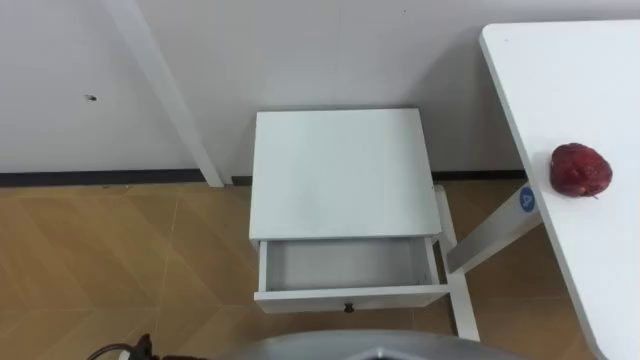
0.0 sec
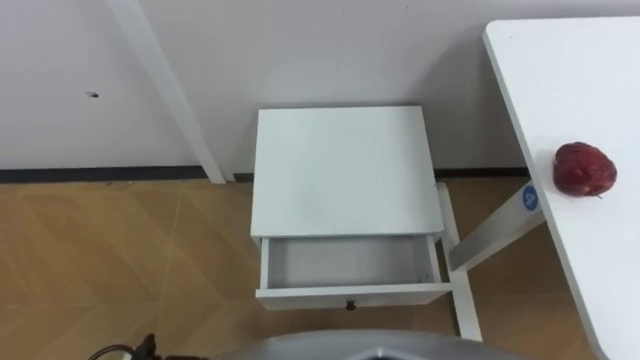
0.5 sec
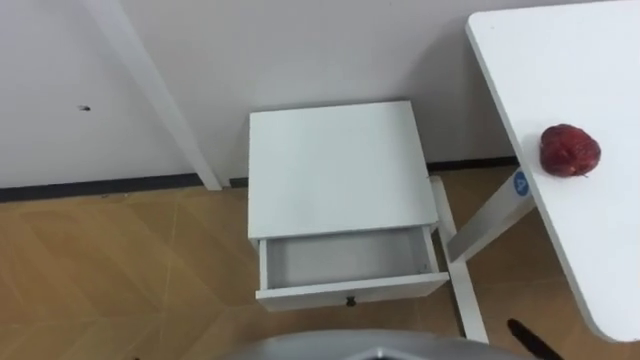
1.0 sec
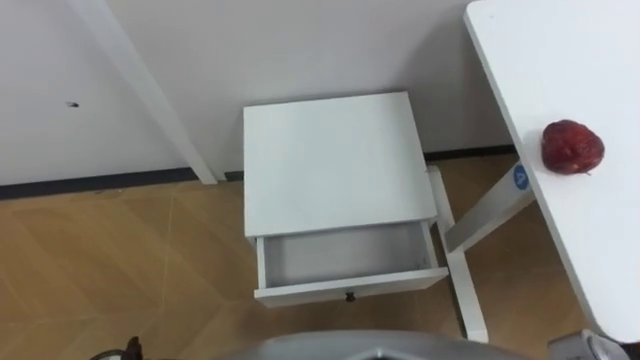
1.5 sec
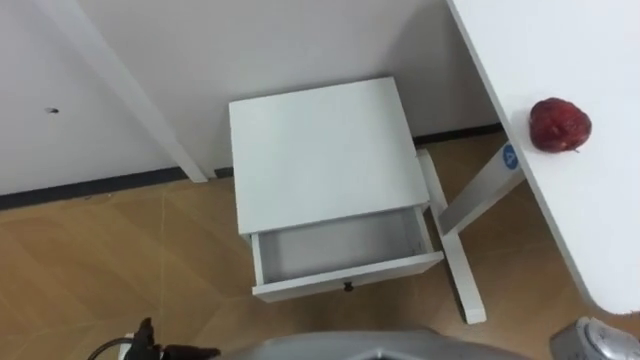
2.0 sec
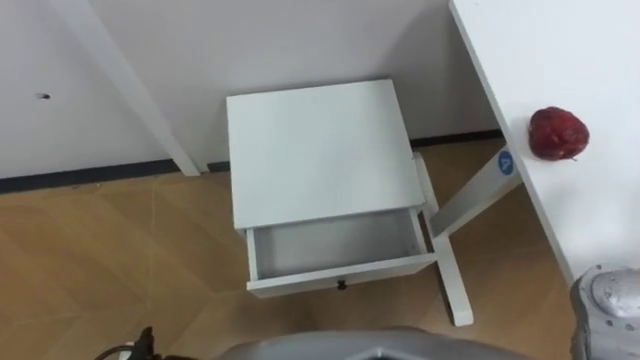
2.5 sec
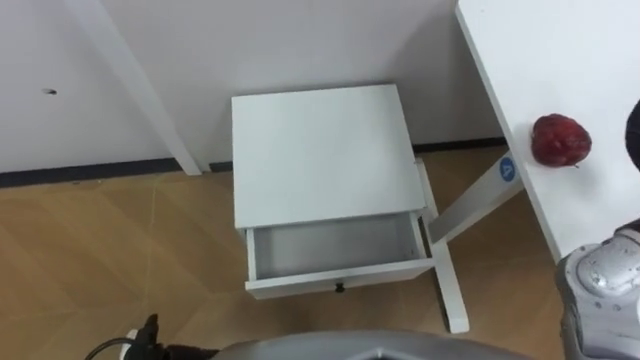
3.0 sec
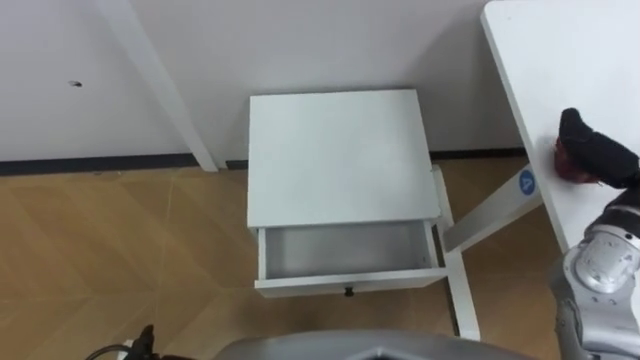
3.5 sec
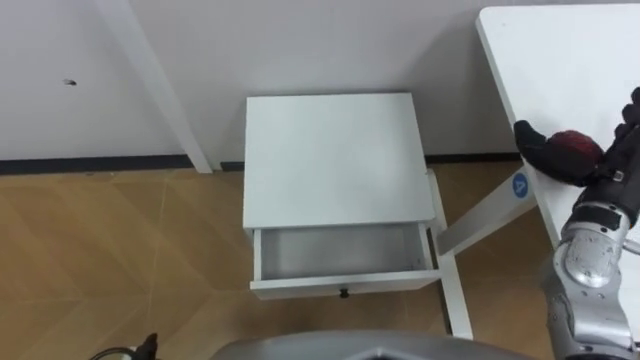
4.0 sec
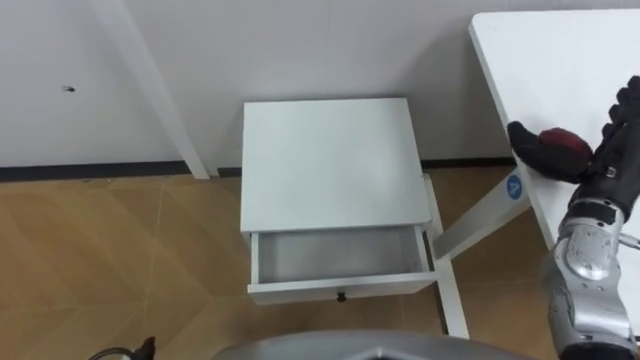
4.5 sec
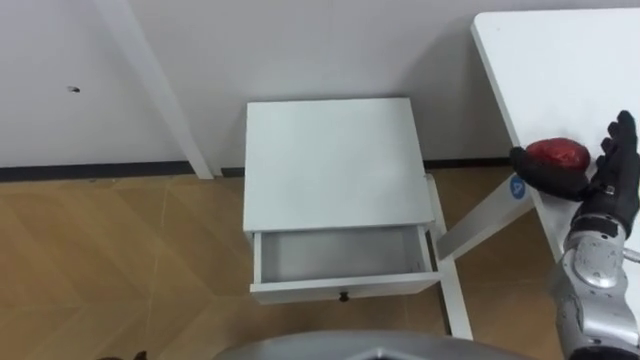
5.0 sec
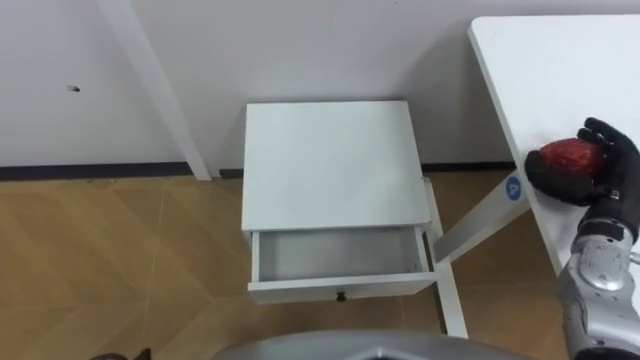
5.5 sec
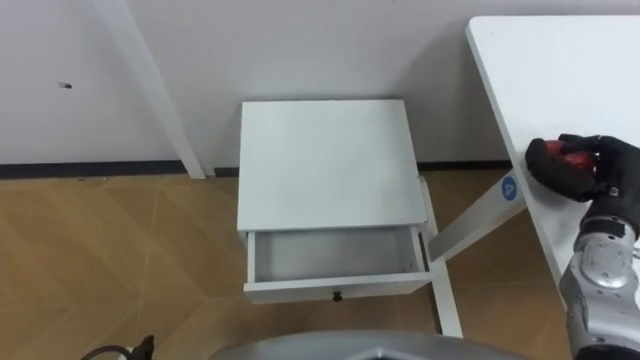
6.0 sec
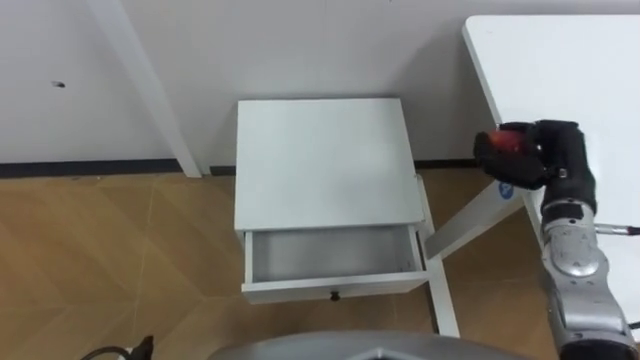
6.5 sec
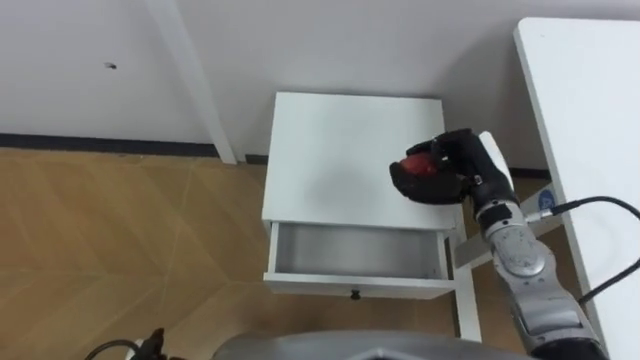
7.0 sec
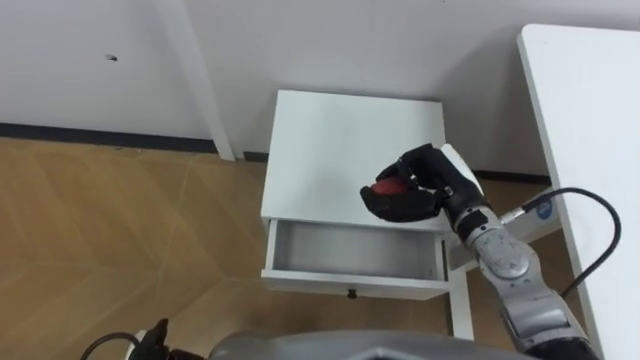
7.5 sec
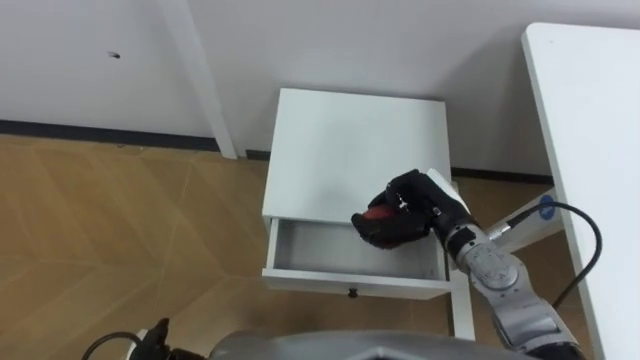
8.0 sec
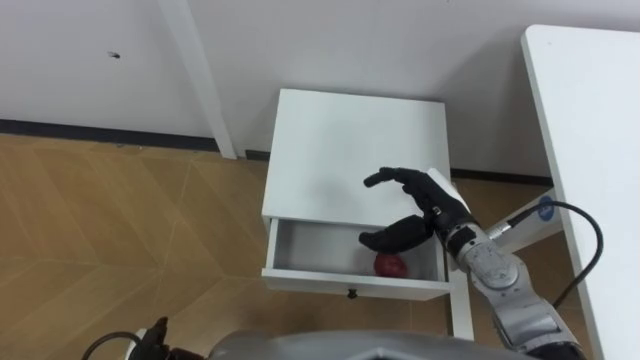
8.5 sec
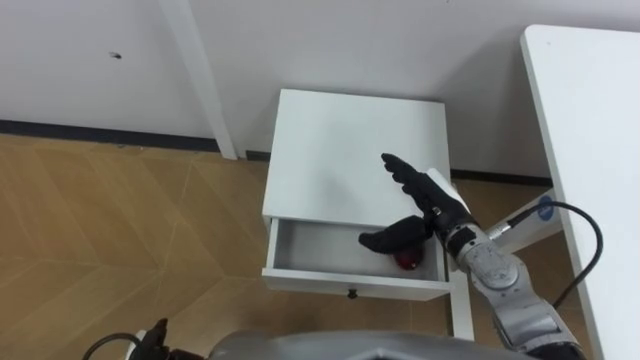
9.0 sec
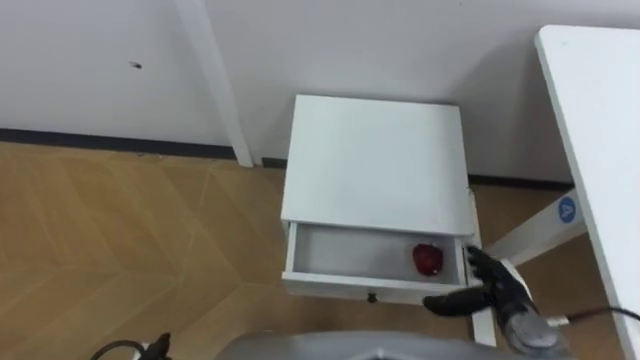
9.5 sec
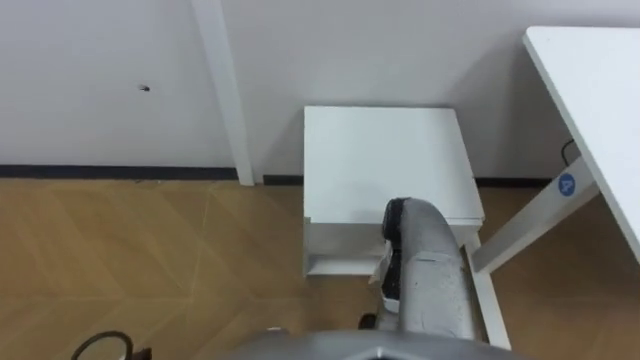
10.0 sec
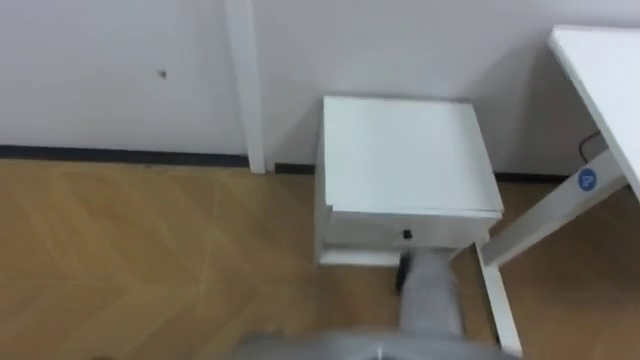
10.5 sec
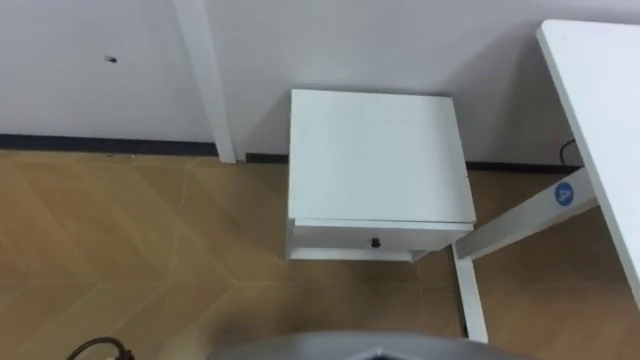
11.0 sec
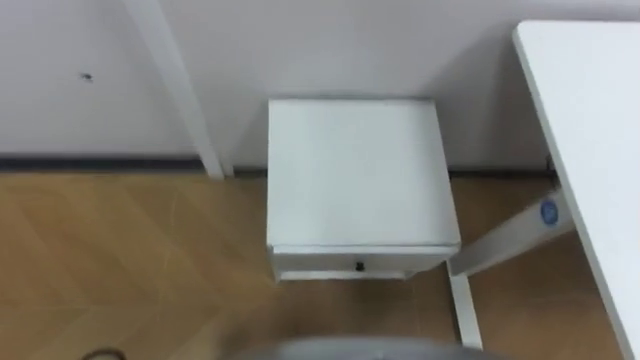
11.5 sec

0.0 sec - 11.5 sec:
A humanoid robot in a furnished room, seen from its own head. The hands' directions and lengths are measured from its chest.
Task of the whole recording: Pick up the apple from the table, put it in the drawer, and close the drawer with leg.
4.0 sec - 6.0 sec: The right hand ends up approximately 5 cm from where it was, and closes.
6.0 sec - 7.5 sec: The right hand travels to the left by approximately 20 cm.
7.5 sec - 9.5 sec: The right hand is displaced downward, backward and to the right by approximately 20 cm, and opens up.

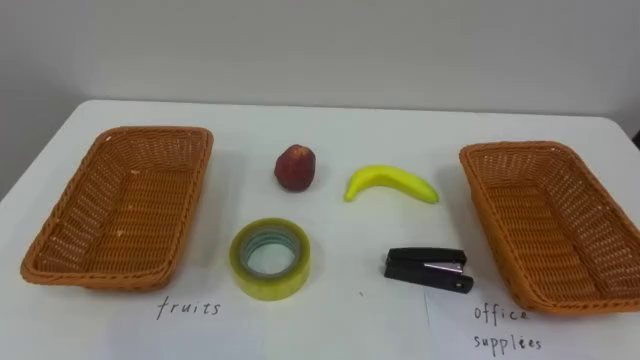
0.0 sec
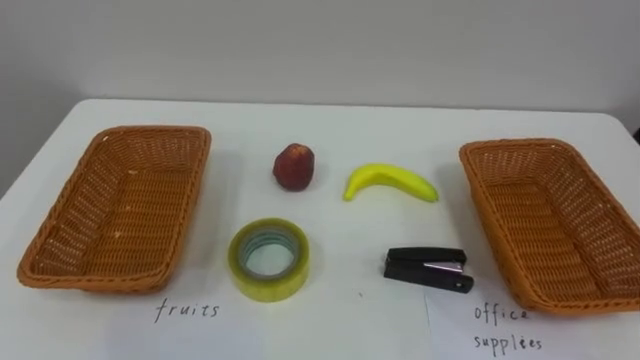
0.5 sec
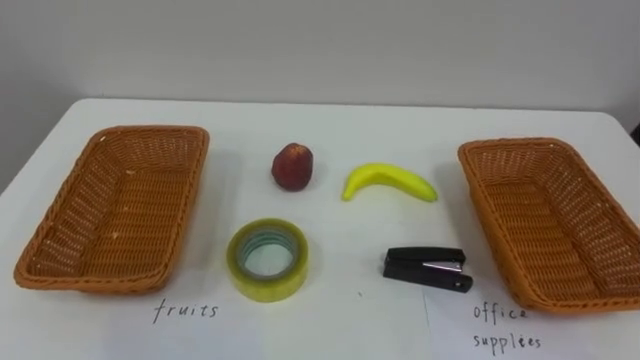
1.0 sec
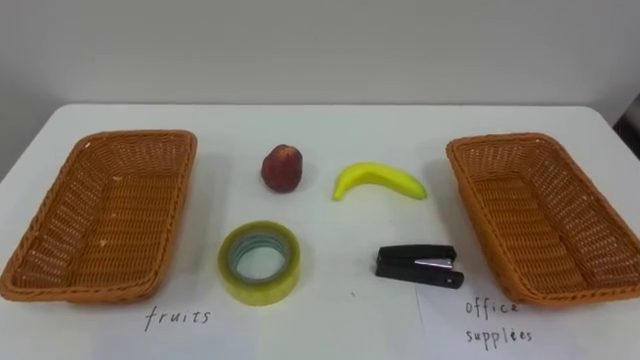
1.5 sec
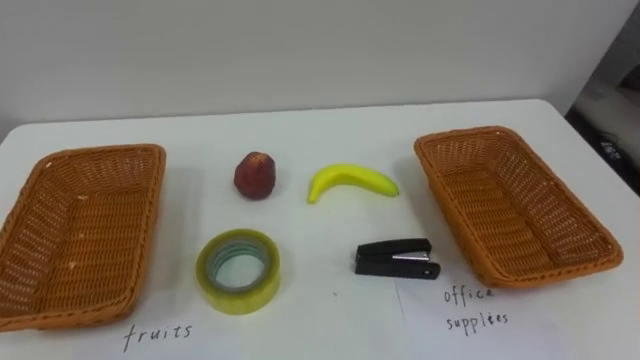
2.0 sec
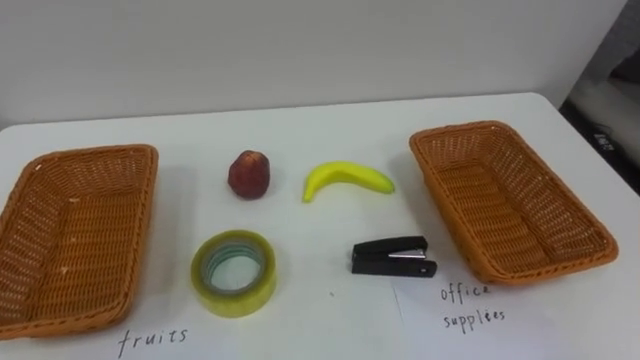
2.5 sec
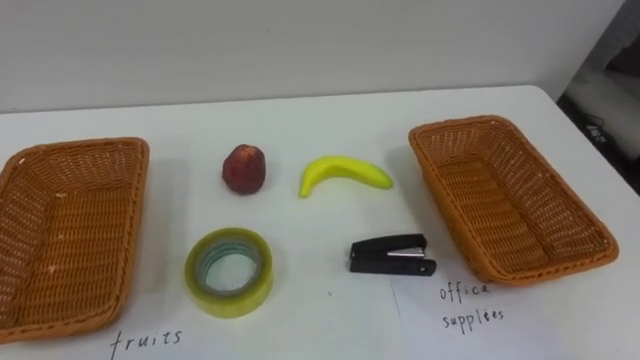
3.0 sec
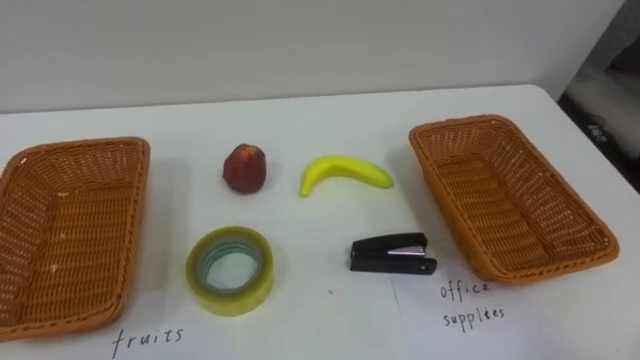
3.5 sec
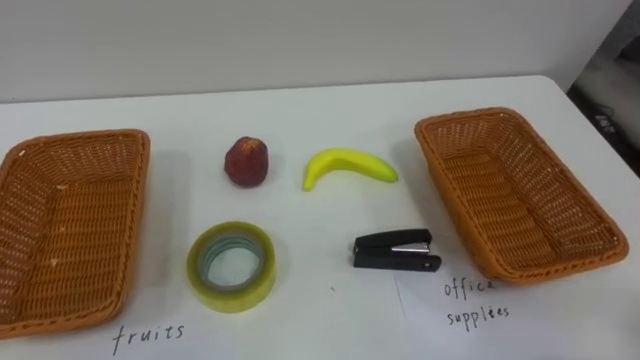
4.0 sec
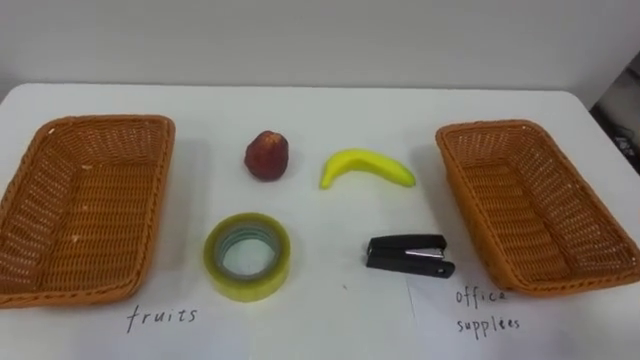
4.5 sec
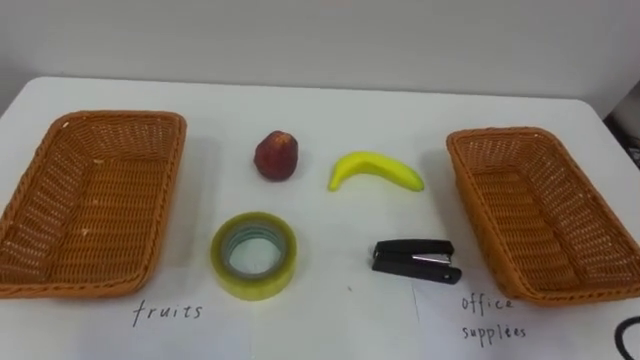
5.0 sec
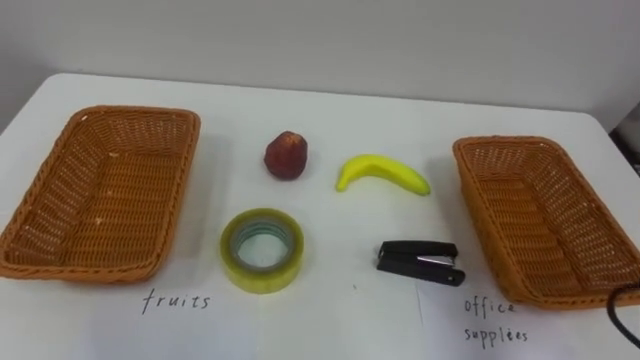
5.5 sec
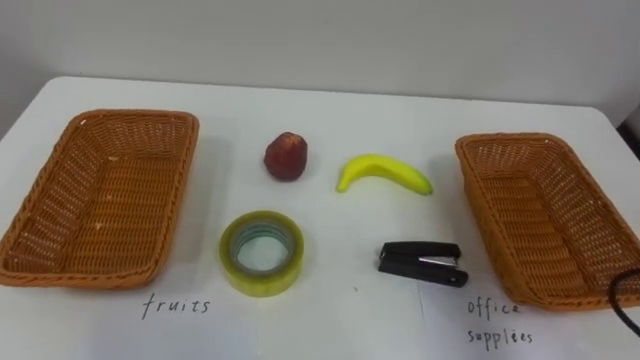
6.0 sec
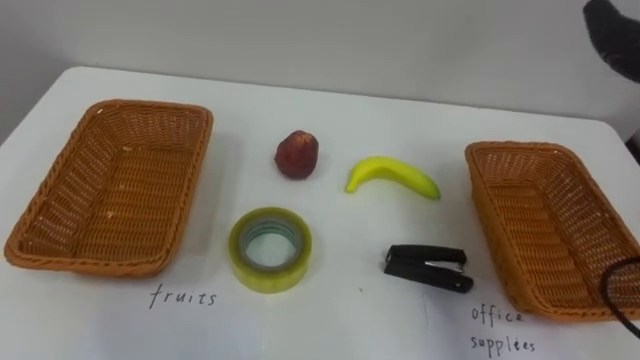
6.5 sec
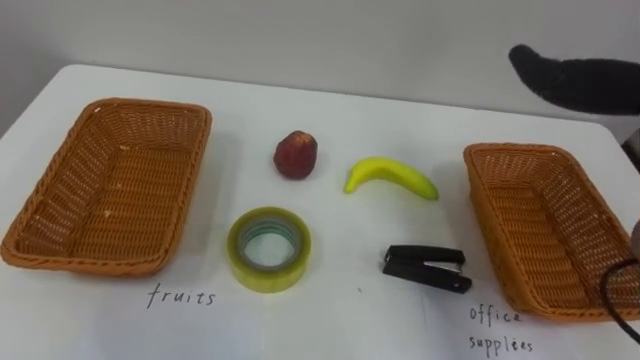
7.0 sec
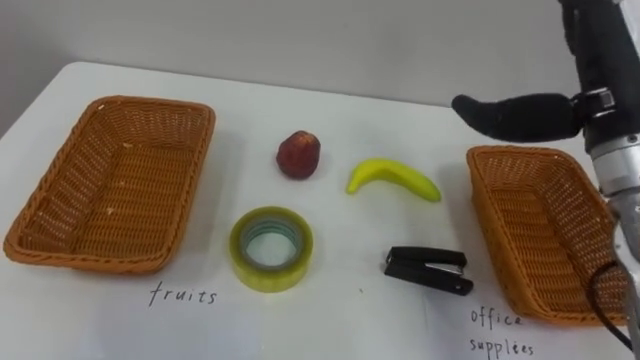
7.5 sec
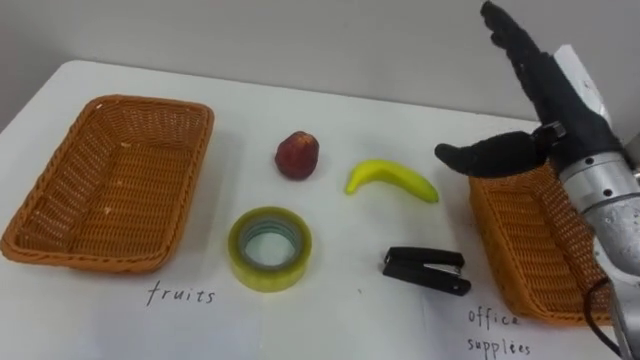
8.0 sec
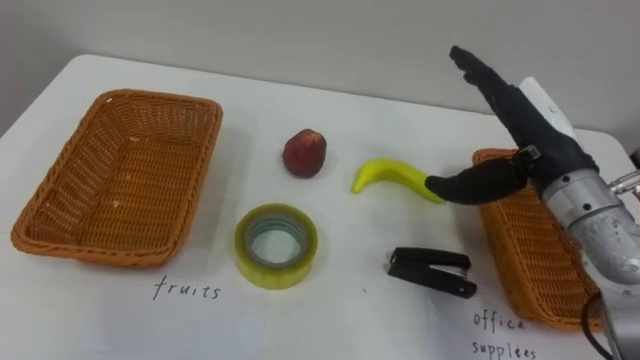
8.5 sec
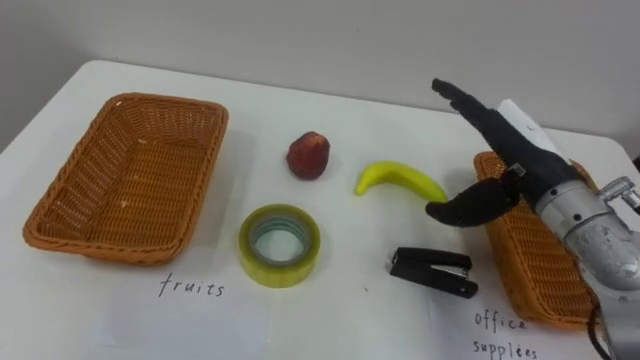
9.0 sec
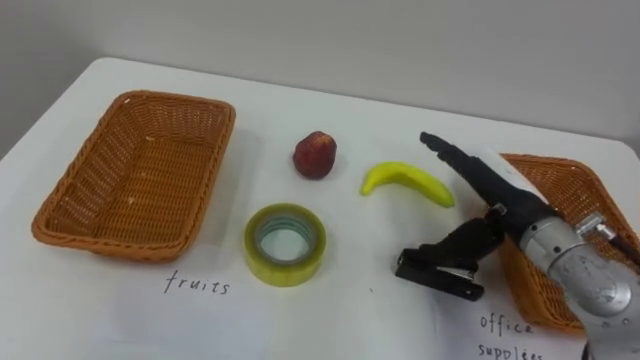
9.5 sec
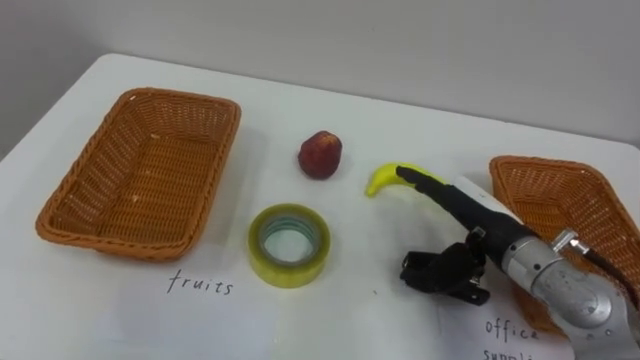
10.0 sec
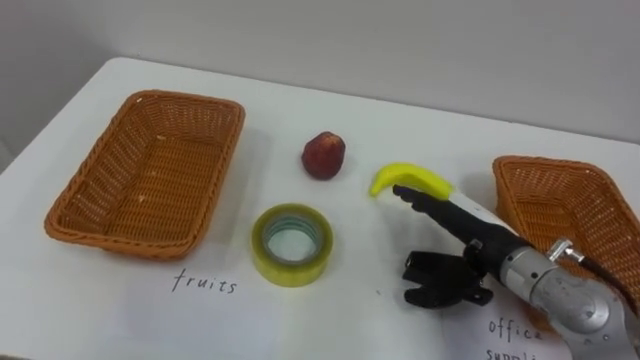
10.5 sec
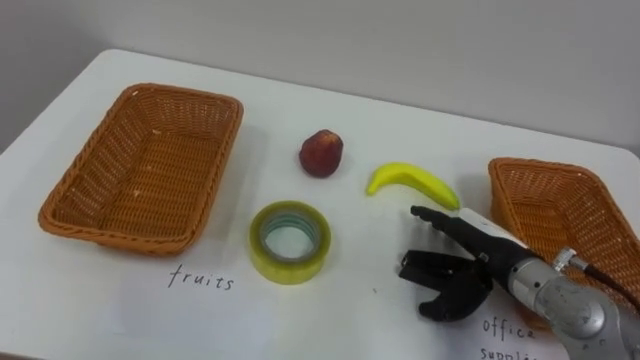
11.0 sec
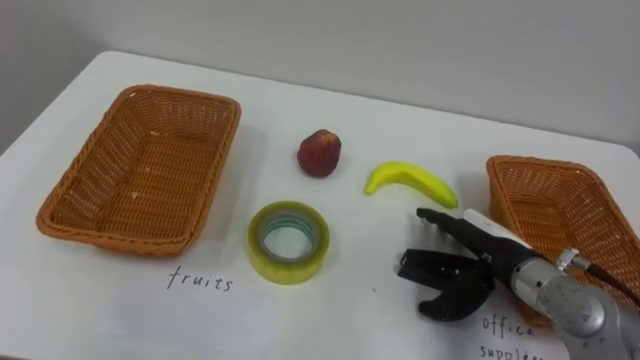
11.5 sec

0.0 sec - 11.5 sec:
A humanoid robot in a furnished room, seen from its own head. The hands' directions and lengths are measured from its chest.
Task of the whole recording: Separate the items on the table and place them into the two baskets.
7.5 sec - 9.5 sec: The right hand travels downward by approximately 15 cm.
9.5 sec - 11.5 sec: The right hand shifts some 5 cm downward.
